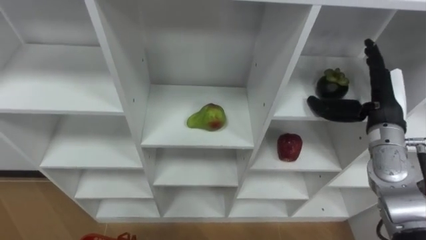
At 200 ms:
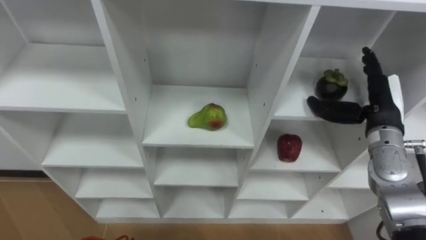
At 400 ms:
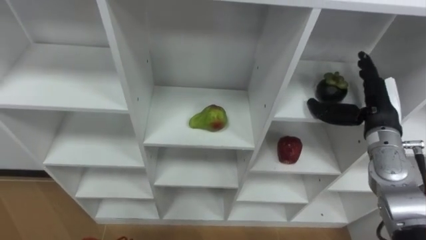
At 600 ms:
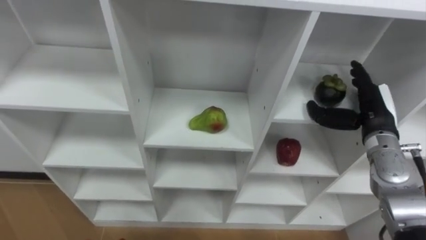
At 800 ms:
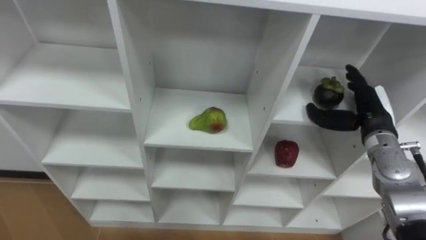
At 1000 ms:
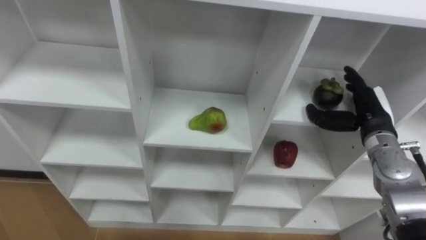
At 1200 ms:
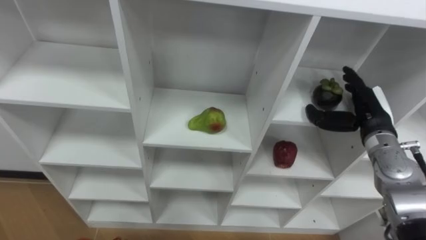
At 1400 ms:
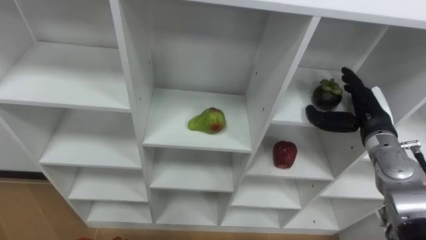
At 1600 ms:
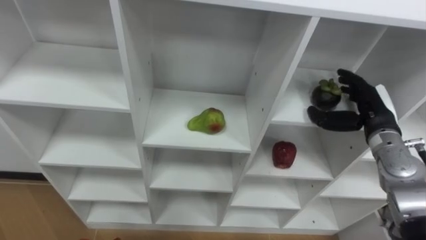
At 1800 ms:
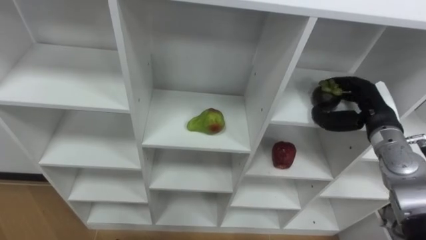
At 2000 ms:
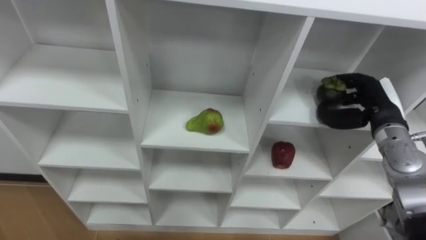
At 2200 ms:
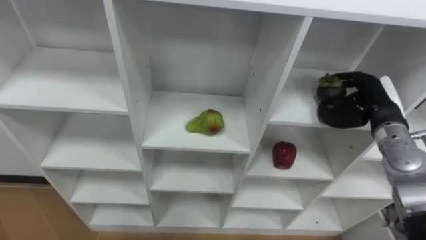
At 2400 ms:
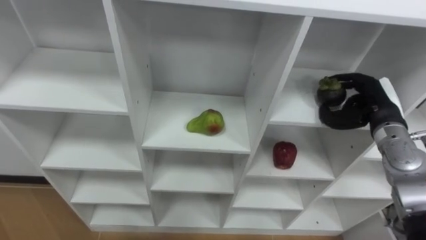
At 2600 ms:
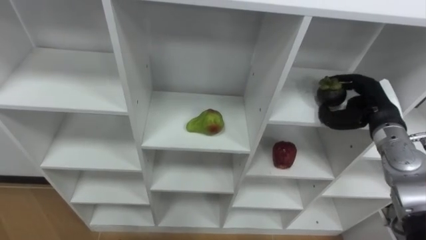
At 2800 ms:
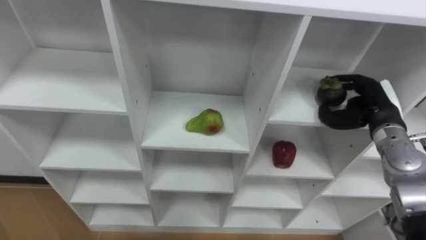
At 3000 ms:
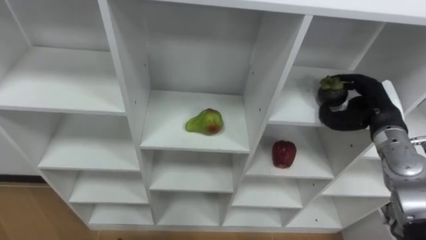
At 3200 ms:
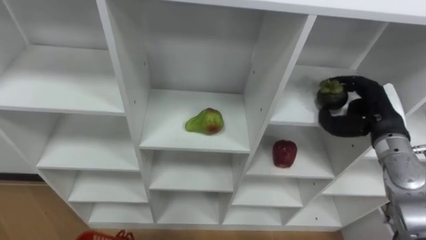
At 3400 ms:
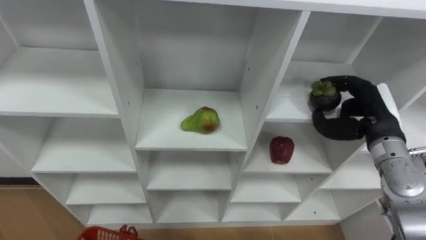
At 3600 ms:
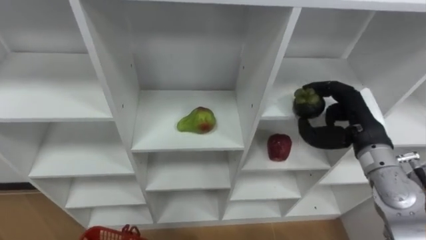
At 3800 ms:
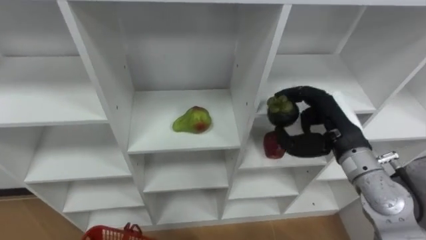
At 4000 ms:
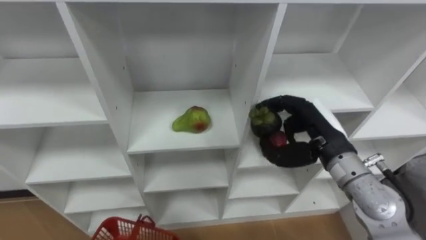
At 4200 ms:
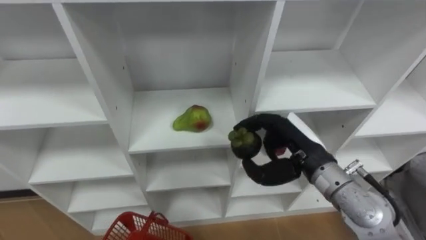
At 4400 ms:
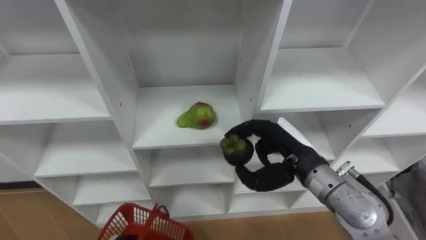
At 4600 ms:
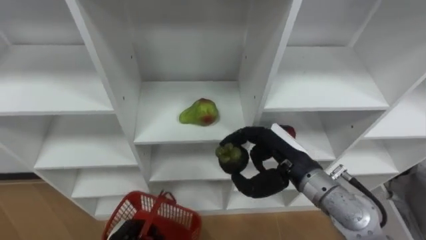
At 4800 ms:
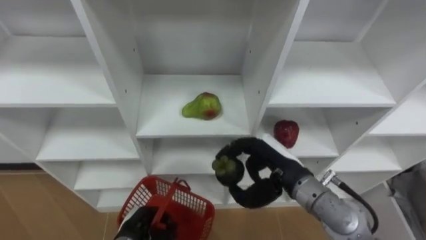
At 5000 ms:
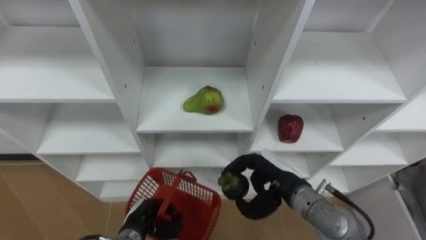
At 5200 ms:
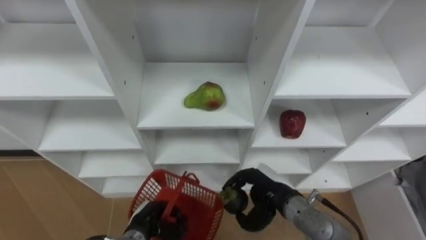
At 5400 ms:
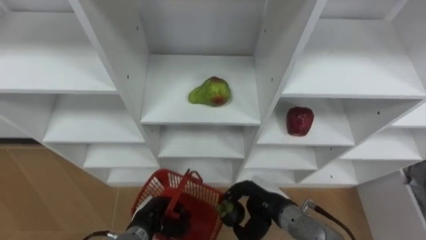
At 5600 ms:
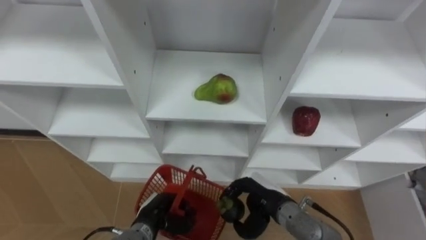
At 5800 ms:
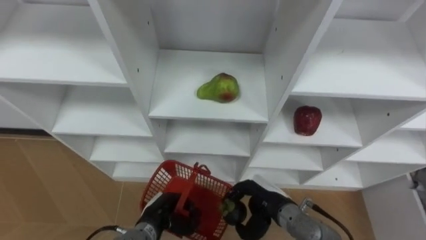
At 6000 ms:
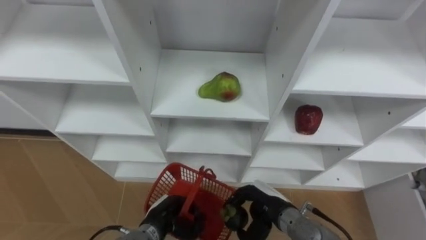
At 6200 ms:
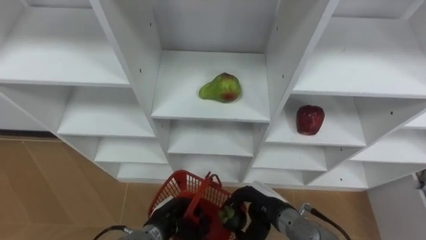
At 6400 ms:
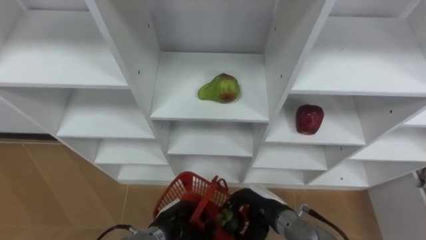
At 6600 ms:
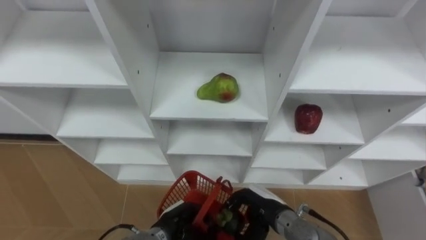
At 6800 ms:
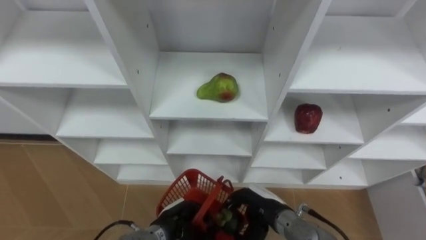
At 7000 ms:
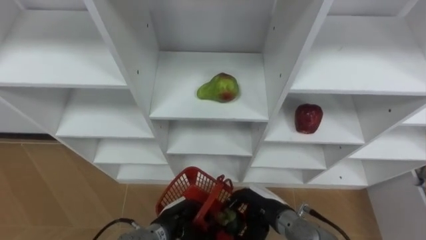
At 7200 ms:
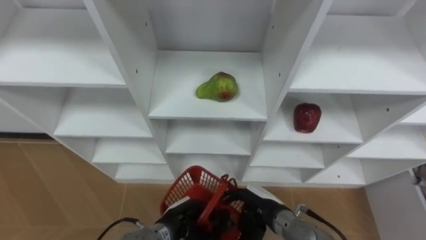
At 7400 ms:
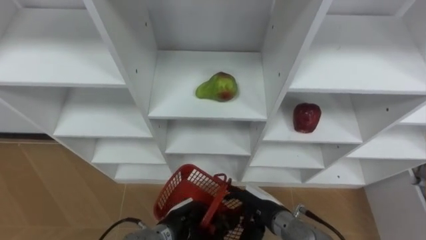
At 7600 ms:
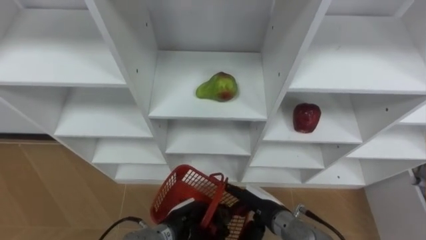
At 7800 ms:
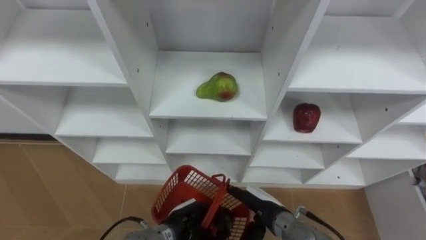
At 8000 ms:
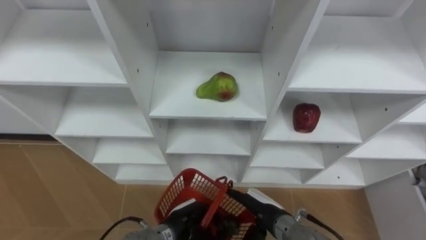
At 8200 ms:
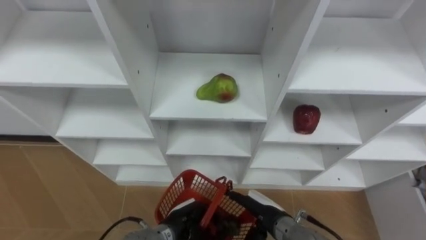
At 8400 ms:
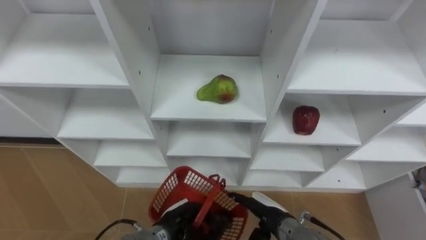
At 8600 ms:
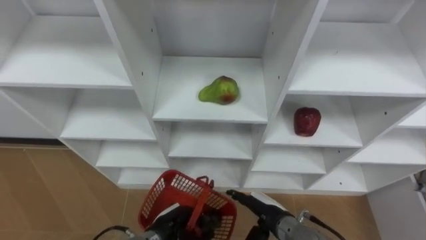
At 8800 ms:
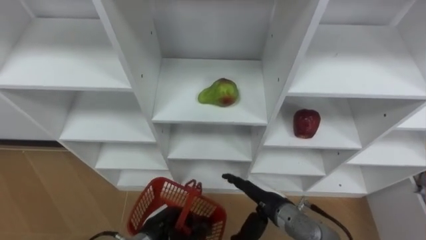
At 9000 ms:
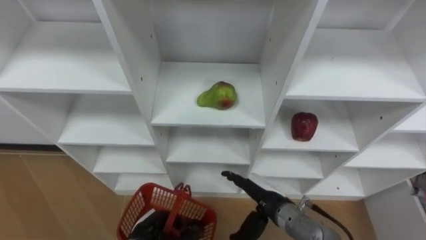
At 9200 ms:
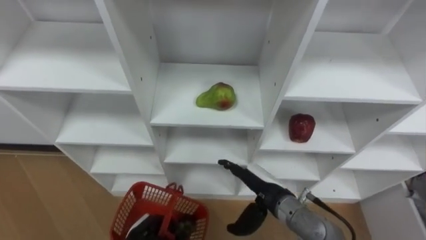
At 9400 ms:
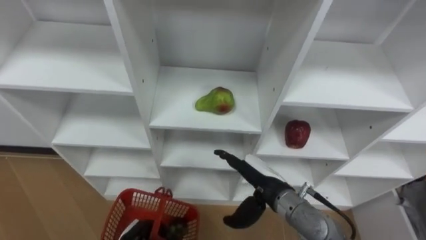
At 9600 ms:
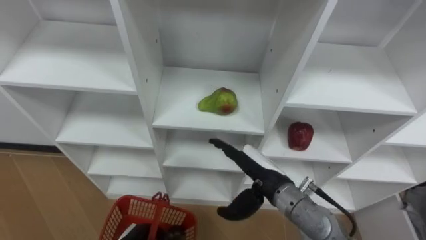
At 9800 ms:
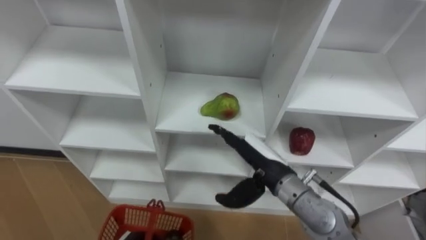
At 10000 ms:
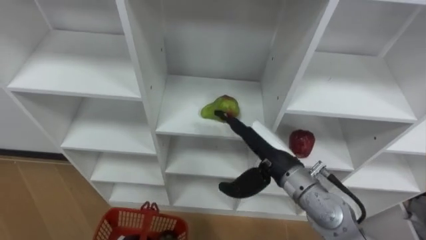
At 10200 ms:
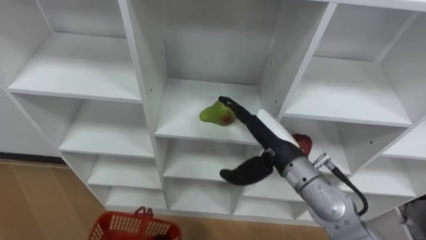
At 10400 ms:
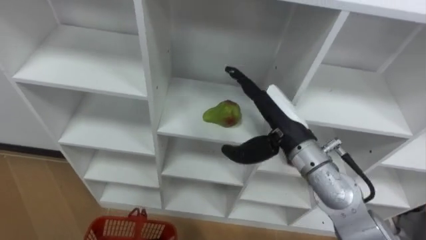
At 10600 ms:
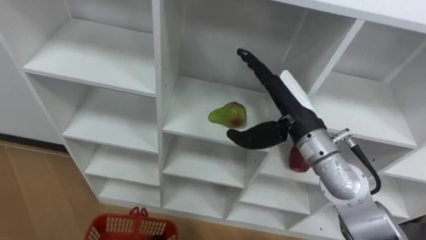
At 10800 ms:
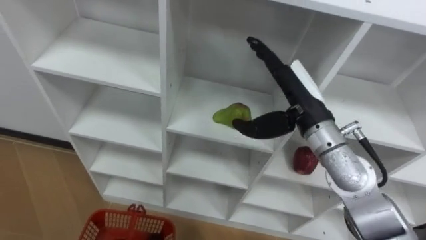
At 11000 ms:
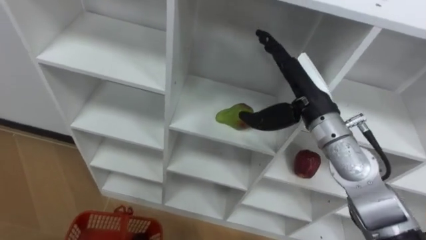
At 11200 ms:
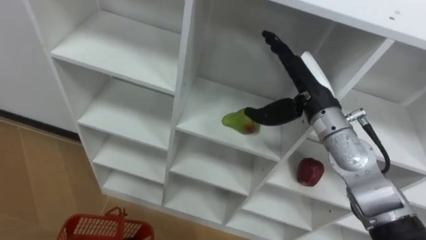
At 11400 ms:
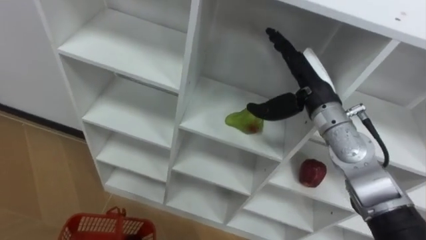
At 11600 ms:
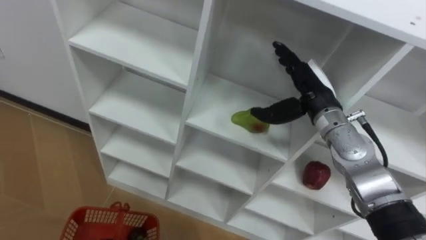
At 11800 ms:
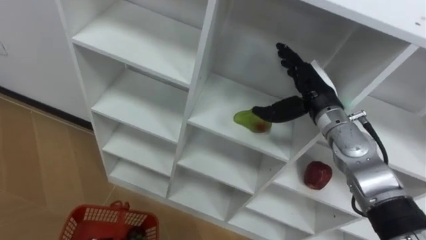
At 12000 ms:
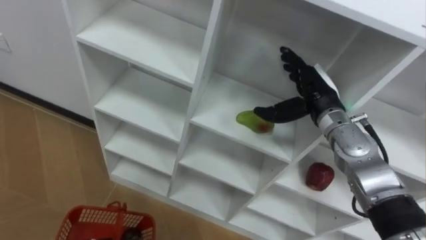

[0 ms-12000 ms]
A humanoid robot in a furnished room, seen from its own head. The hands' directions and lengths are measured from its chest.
Task of the whole recording: Hold the basket and collect the fruits from 3 different cells of the closet into it.
0 ms to 1600 ms: The right hand heads downward, covering approximately 5 cm.
1600 ms to 3000 ms: The right hand closes up.
3000 ms to 4400 ms: The right hand shifts some 20 cm to the left and backward.
4400 ms to 6000 ms: The right hand is displaced downward by about 15 cm.
6000 ms to 7600 ms: The left hand moves about 5 cm; the right hand opens.
7600 ms to 9000 ms: The left hand shifts roughly 10 cm to the left.
9000 ms to 10400 ms: The right hand travels upward by some 20 cm.
10400 ms to 12000 ms: The right hand heads forward and to the right, covering approximately 10 cm.

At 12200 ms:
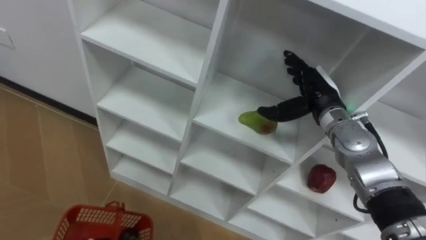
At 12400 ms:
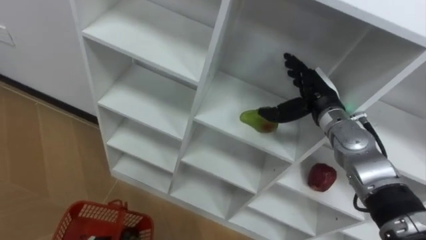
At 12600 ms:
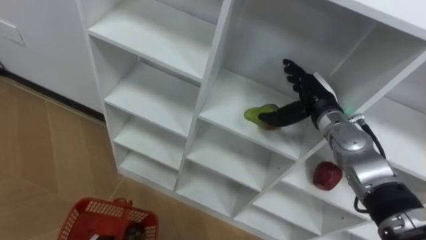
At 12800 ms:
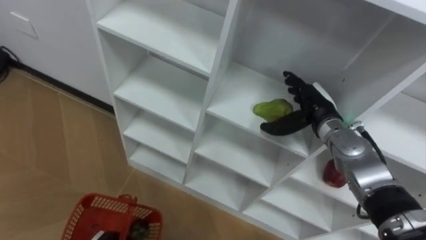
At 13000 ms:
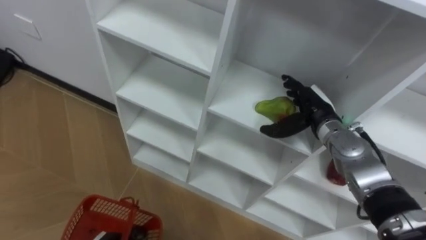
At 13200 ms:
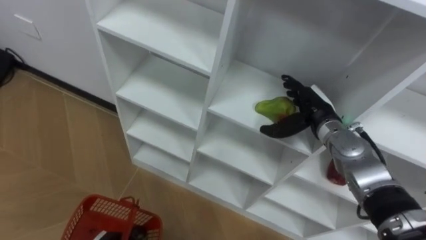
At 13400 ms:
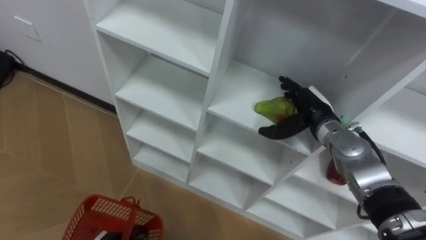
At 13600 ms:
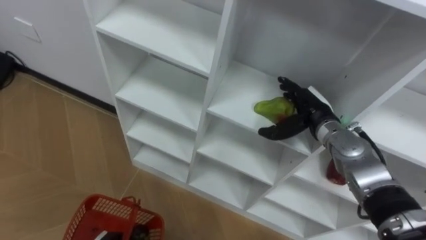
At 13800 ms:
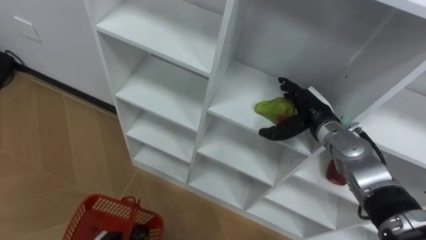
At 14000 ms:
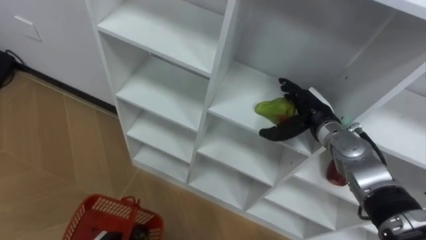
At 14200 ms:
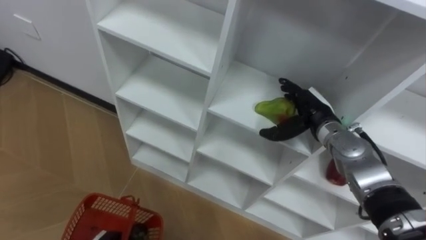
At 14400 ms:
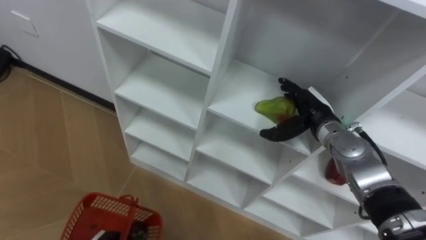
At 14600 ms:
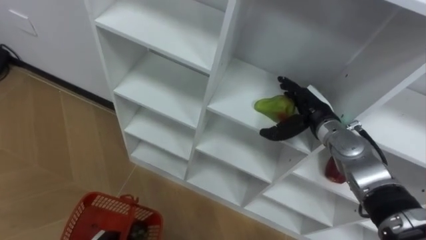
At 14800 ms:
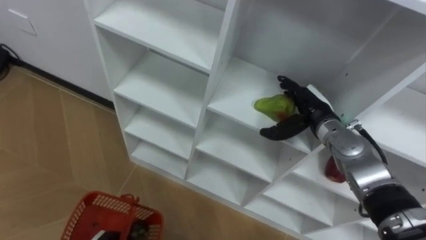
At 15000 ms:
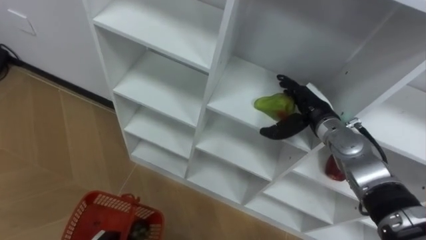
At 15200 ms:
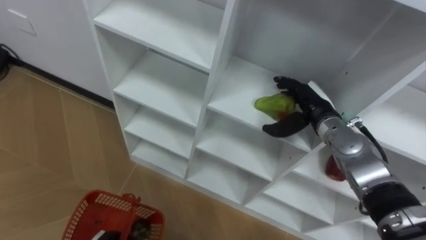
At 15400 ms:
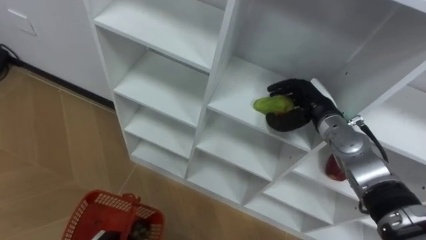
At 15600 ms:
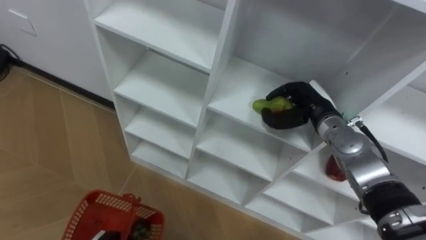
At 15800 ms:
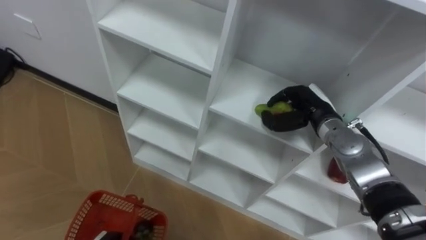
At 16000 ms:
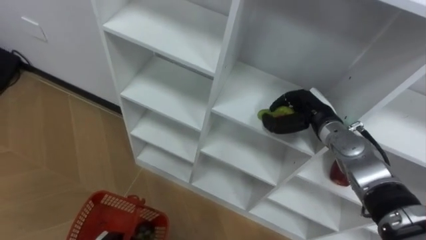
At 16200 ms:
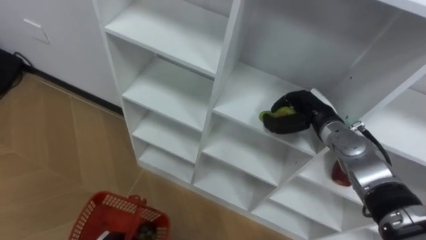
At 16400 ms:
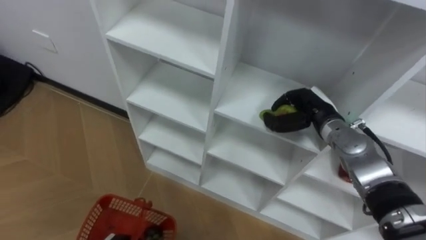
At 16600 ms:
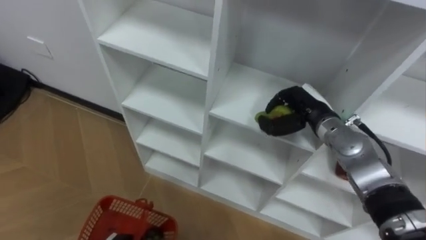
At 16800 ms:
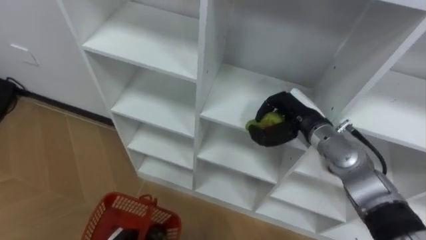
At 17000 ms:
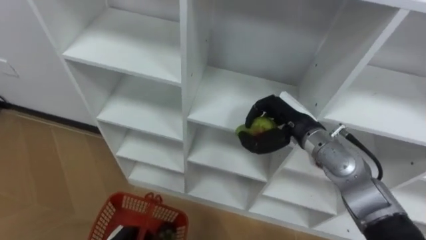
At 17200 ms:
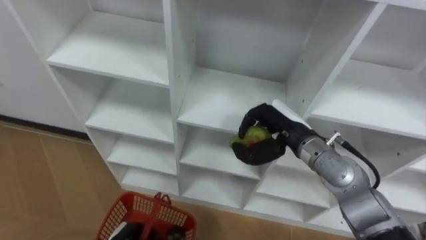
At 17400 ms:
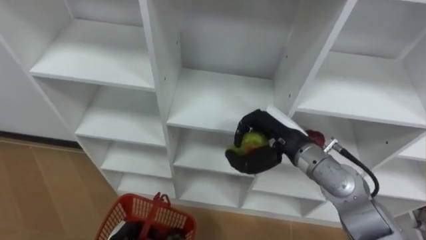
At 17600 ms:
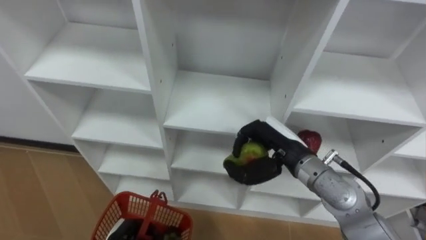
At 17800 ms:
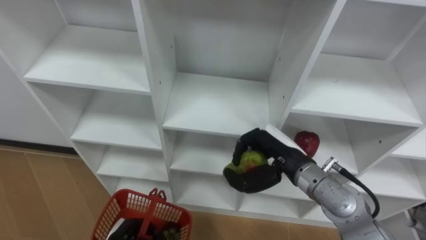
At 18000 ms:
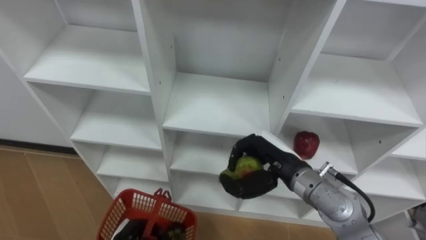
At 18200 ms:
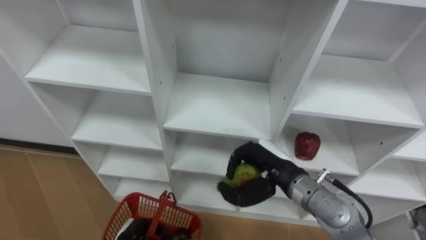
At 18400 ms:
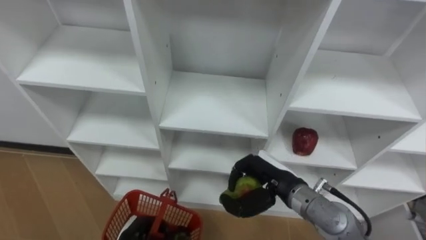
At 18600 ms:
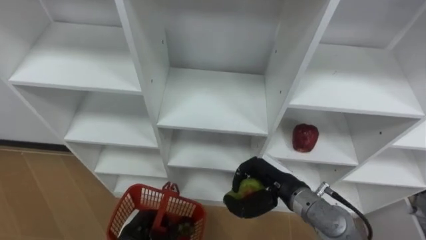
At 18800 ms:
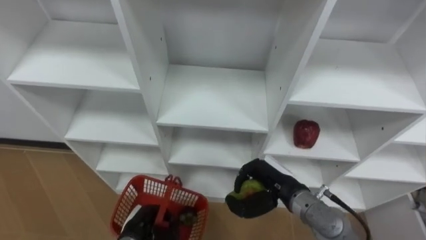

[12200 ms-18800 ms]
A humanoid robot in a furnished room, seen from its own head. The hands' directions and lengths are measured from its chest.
Task of the whole recording: Hold the basket and collect the fruits from 3 different cells of the closet into it.
13800 ms to 15400 ms: The right hand closes its fingers.
15400 ms to 17200 ms: The right hand is displaced to the left and backward by some 10 cm, and closes.
17200 ms to 18800 ms: The right hand moves downward and backward, roughly 10 cm.
